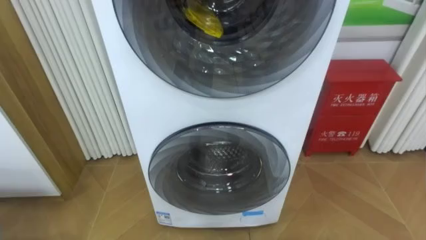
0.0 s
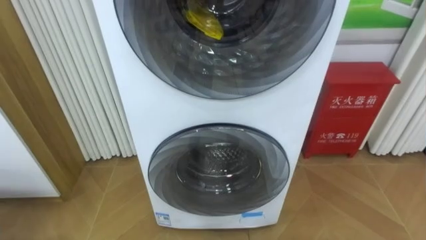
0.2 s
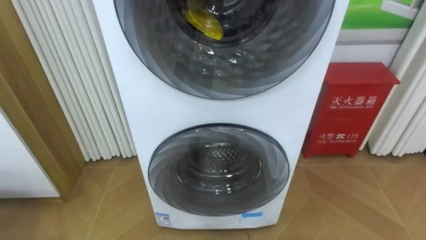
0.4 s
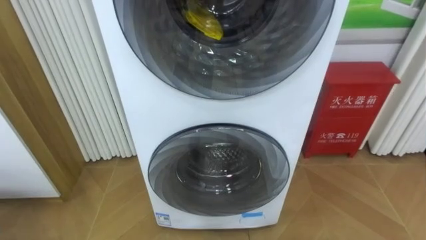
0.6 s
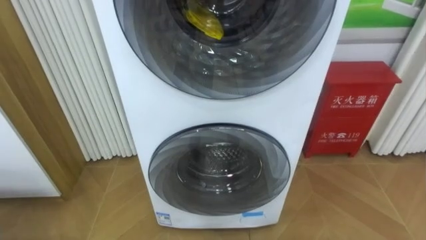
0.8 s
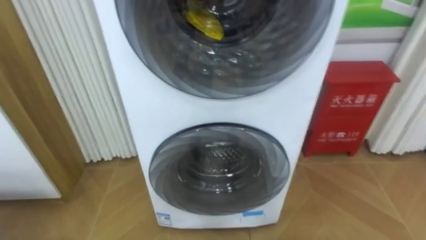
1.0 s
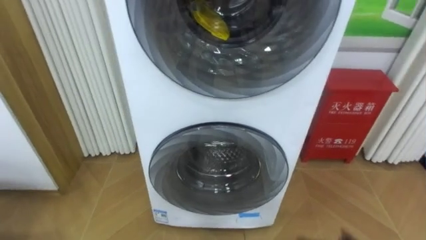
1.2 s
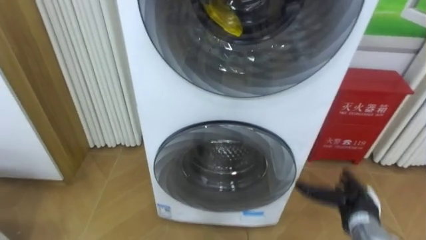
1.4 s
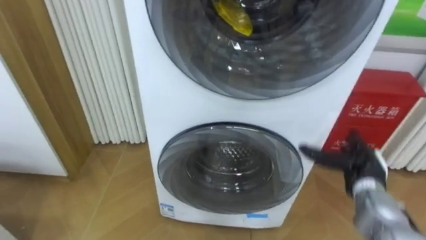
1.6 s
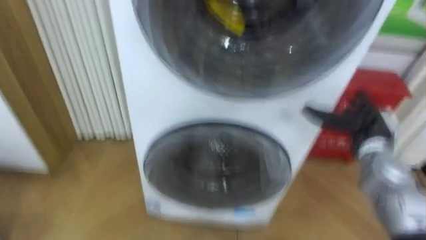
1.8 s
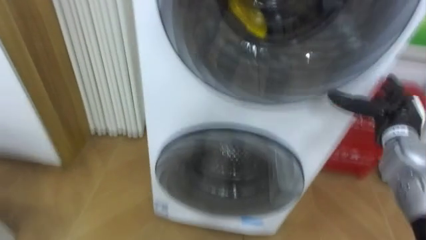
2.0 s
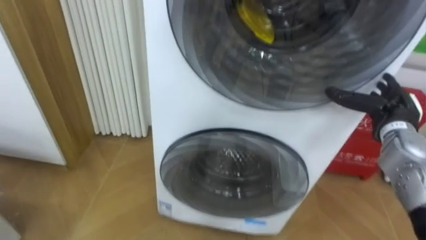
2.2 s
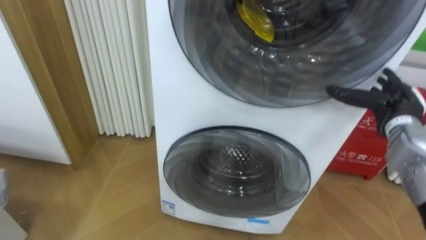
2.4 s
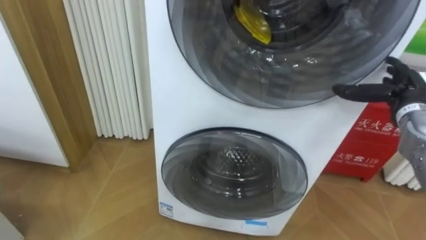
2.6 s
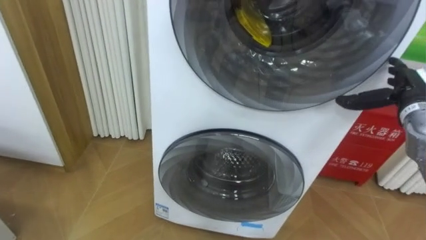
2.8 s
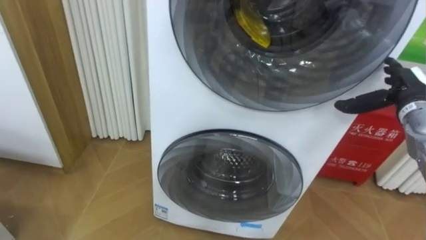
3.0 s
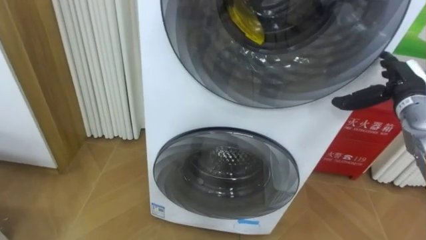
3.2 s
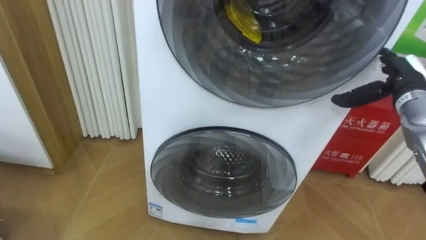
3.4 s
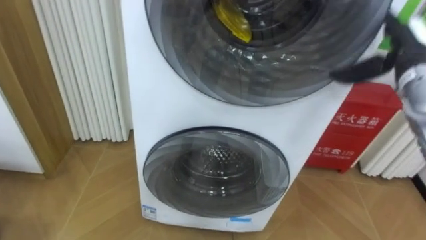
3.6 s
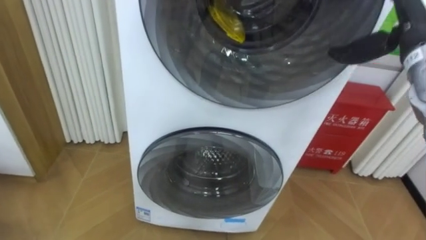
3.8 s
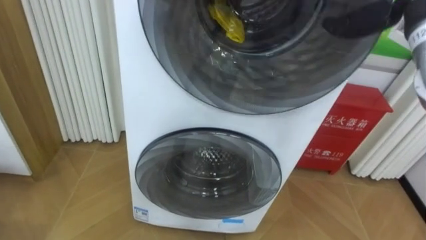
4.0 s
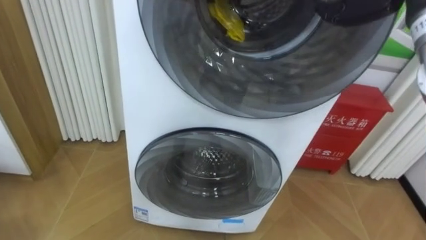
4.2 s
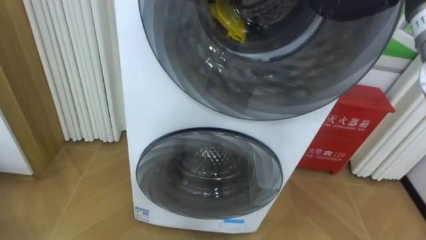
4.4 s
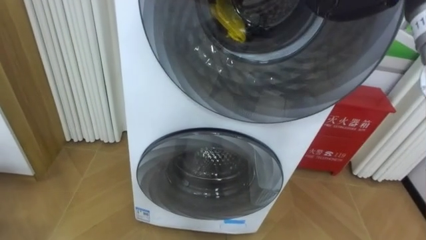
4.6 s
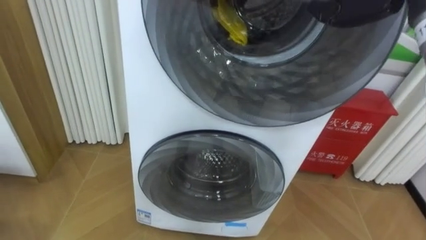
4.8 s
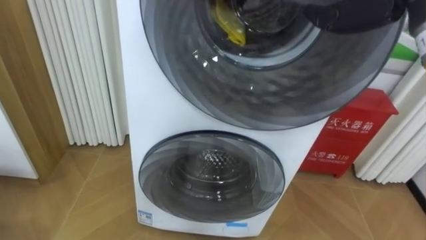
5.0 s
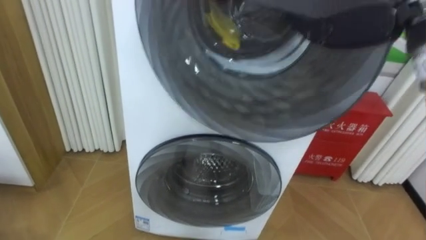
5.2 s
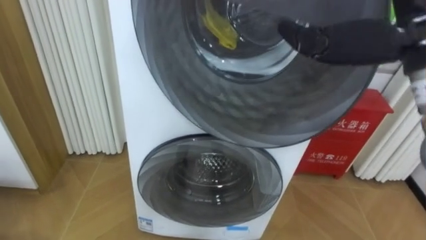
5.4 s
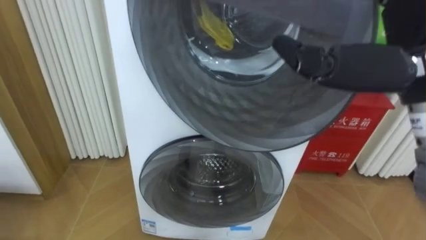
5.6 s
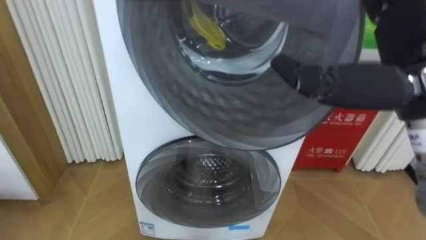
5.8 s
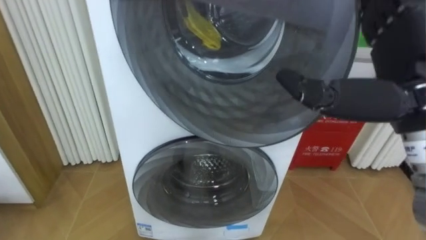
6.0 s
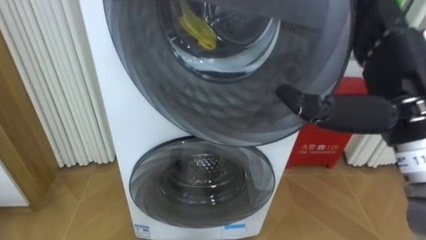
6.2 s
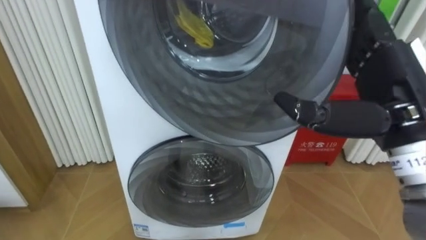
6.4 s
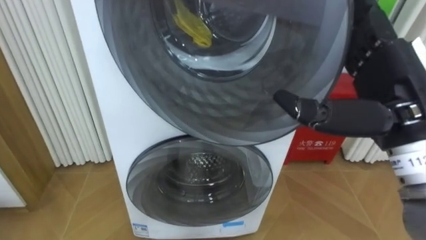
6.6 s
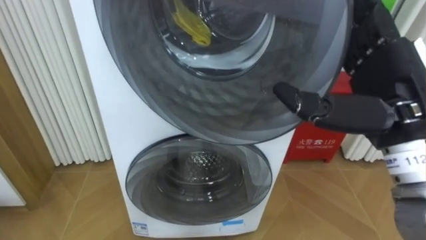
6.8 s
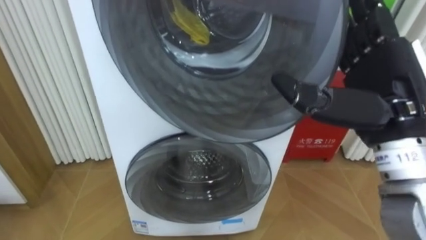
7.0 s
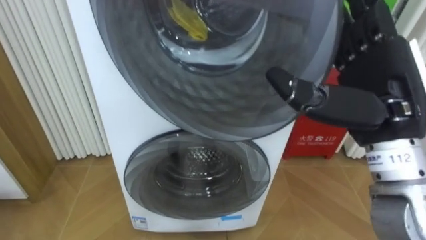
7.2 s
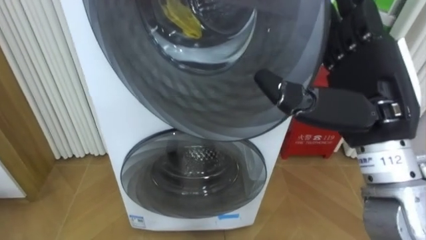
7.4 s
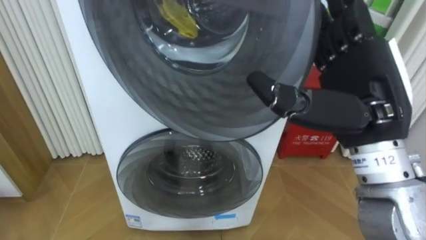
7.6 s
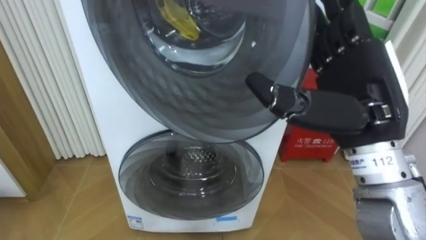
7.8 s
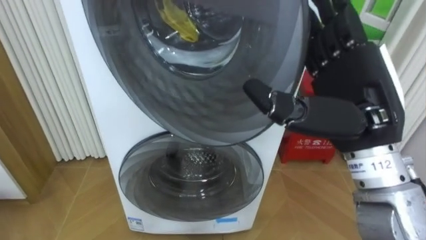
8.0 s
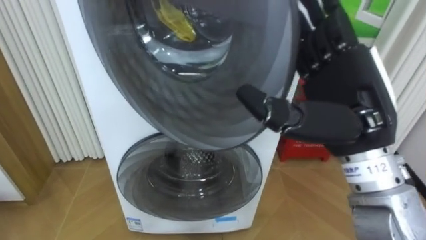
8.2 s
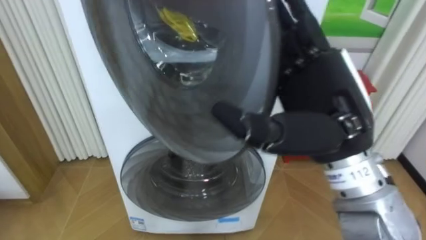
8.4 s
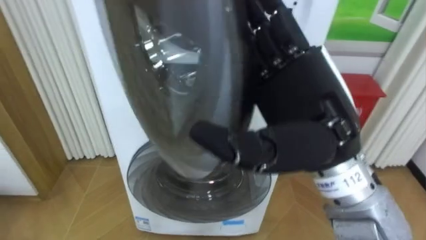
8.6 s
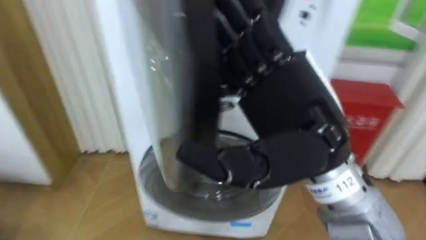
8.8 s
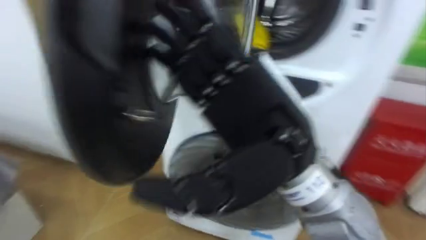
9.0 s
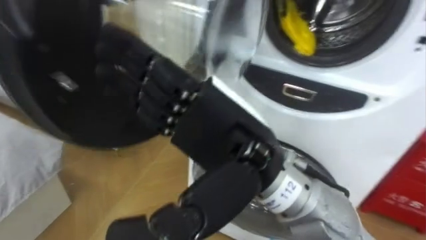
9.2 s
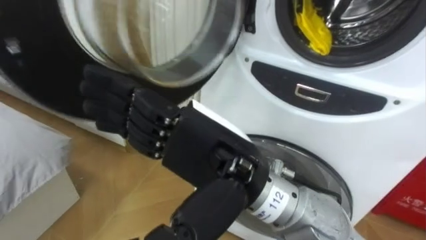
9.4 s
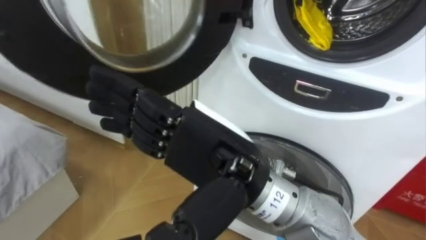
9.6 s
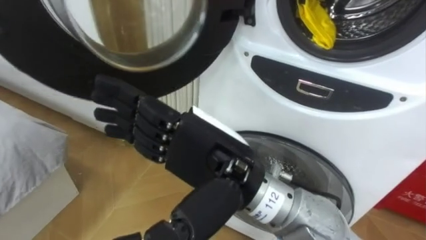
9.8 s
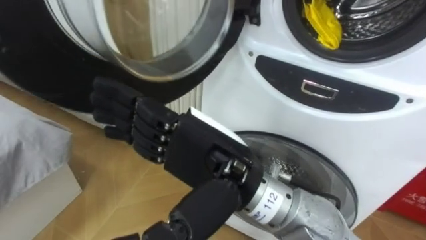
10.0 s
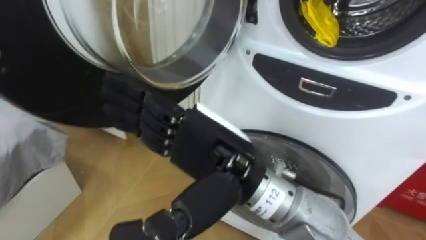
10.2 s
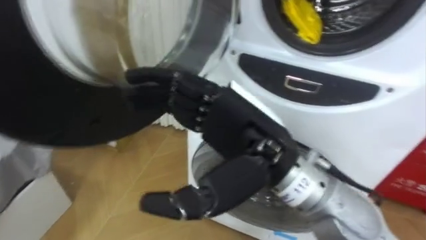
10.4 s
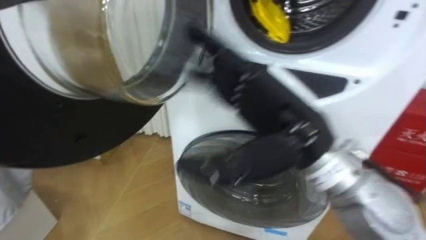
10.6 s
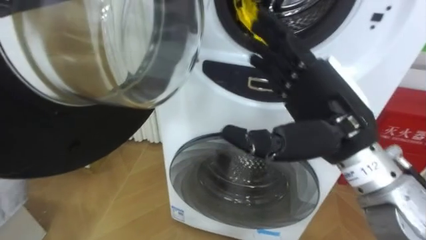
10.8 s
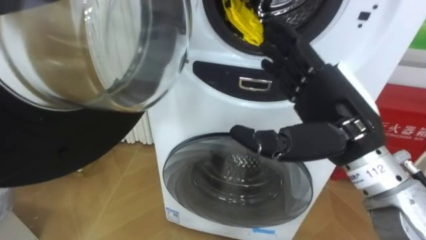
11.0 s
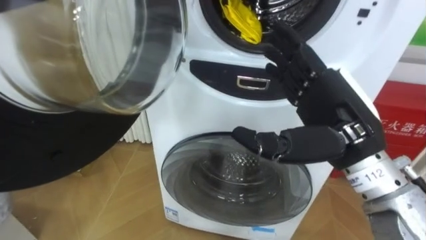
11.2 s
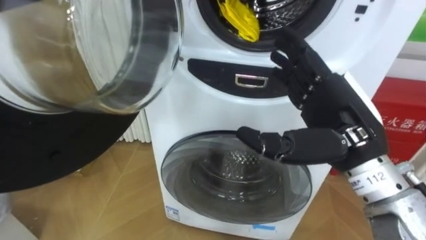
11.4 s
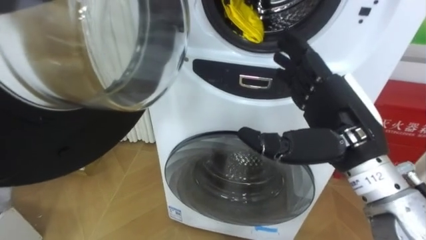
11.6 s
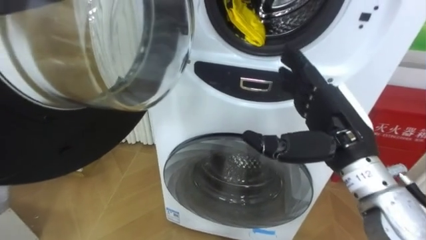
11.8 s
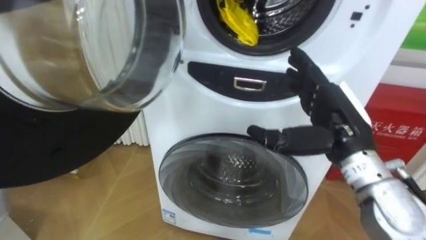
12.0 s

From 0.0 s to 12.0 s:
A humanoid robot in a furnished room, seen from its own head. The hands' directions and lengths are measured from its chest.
Task of the whole recording: Open the washing machine door, take out the yellow clothes, place them in the box on the right, and close the washing machine door.
From 1.6 s to 3.0 s: The right hand travels upward, forward and to the right by some 15 cm.
From 7.6 s to 9.0 s: The right hand is displaced to the left by about 10 cm.
From 10.4 s to 12.0 s: The right hand moves to the right and forward, approximately 15 cm.

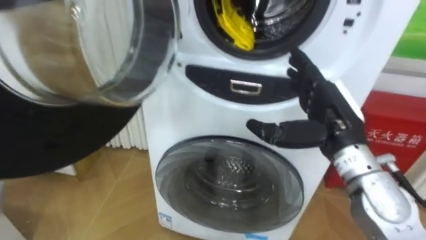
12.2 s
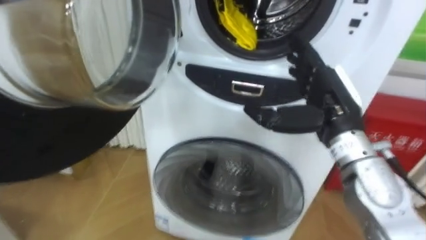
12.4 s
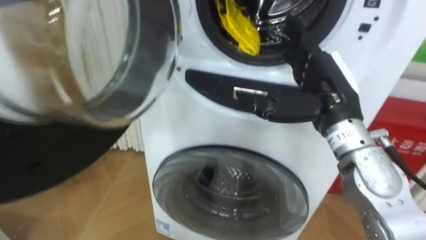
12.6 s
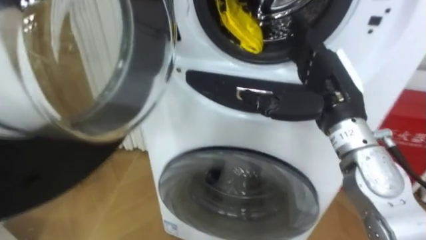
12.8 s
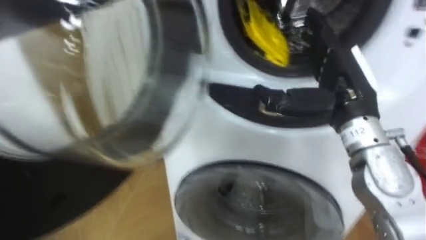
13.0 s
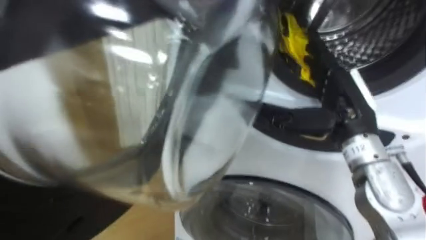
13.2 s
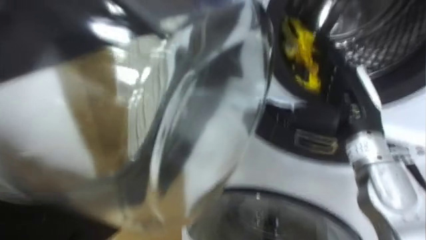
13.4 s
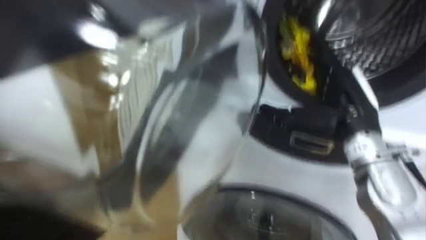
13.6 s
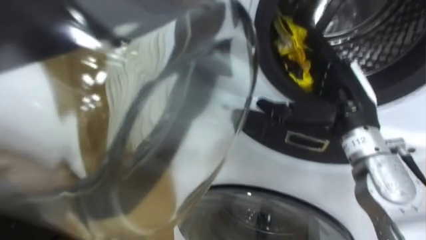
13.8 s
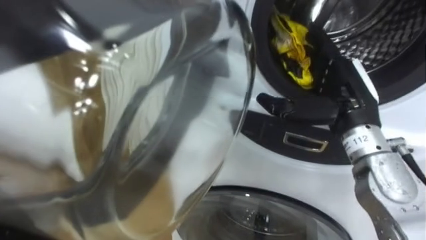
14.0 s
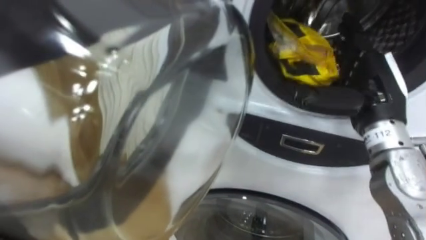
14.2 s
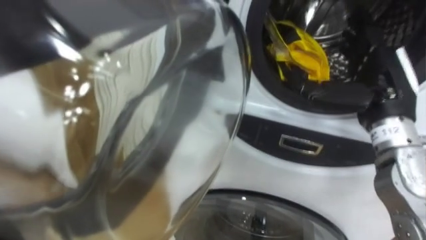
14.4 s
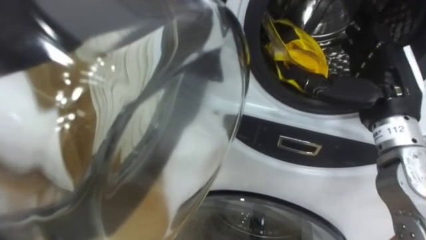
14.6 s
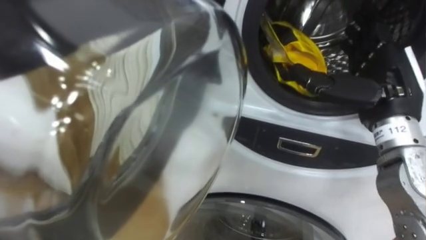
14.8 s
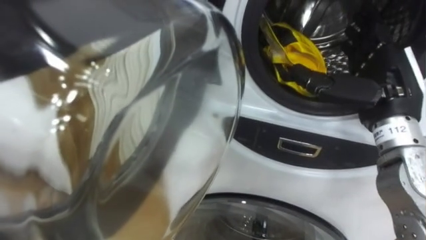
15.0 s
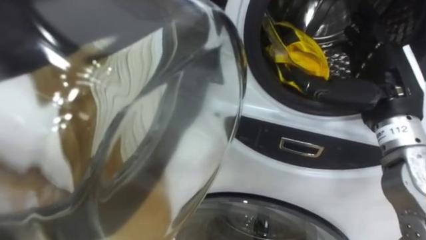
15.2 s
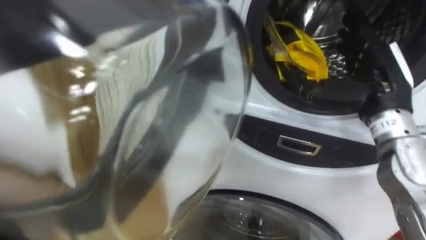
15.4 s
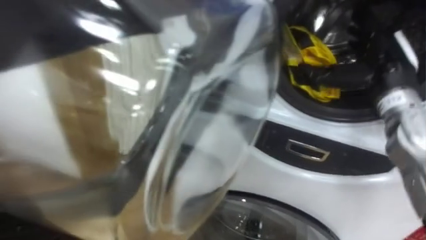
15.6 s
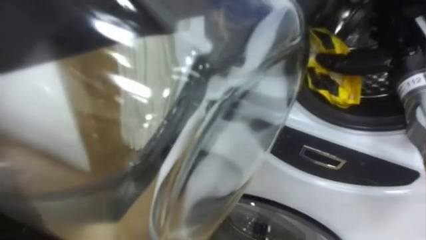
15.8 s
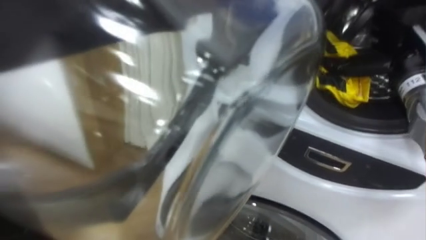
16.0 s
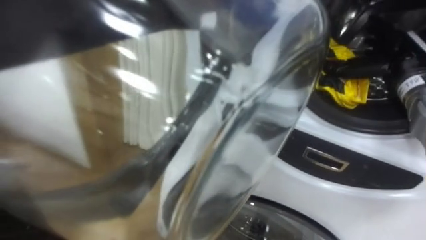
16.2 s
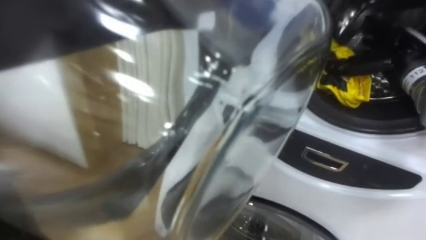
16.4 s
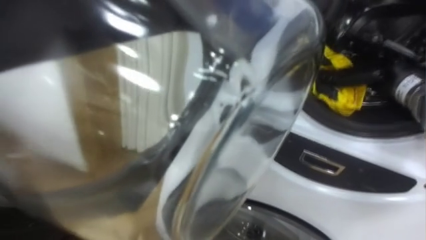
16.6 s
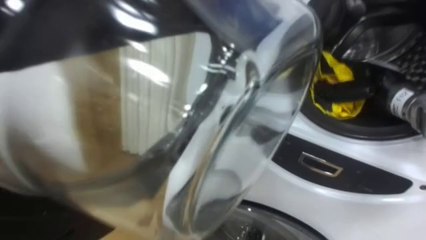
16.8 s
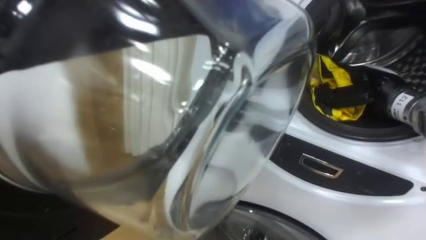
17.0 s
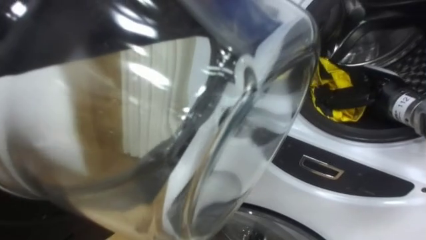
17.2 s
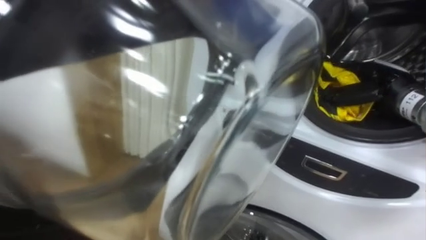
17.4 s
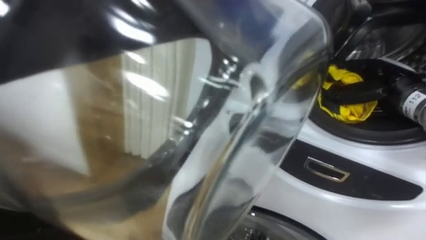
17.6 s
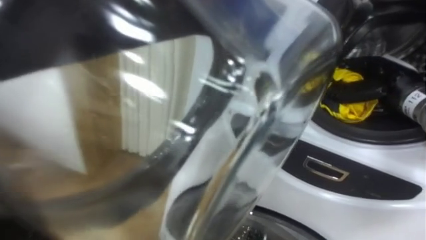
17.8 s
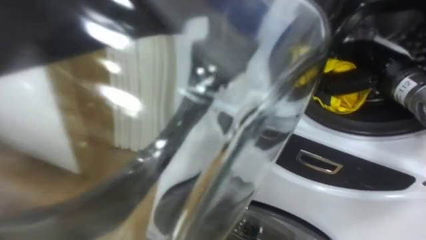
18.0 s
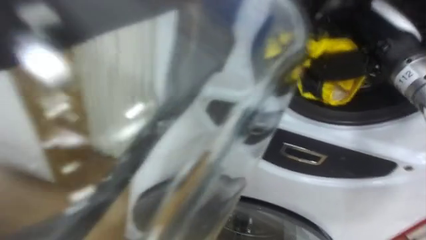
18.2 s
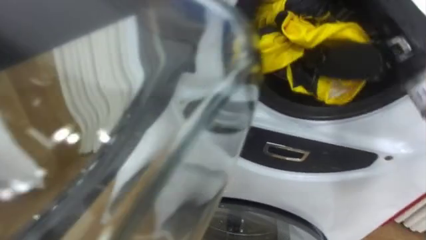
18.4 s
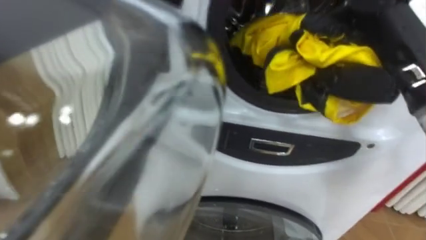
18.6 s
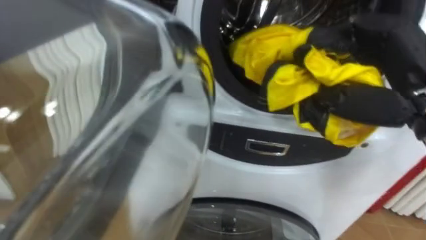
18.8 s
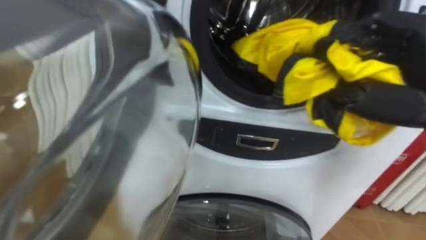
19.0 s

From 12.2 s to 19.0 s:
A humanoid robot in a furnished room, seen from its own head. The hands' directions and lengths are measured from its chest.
Task of the whole recording: Open the washing machine door, take out the yellow clothes, place them in the box on the right, and close the washing machine door.
From 13.6 s to 15.0 s: The right hand ends up approximately 5 cm from where it was.
From 15.0 s to 16.2 s: The right hand shifts about 10 cm forward and to the right.
From 16.2 s to 17.6 s: The right hand closes its fingers.
